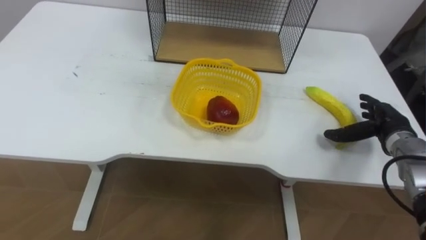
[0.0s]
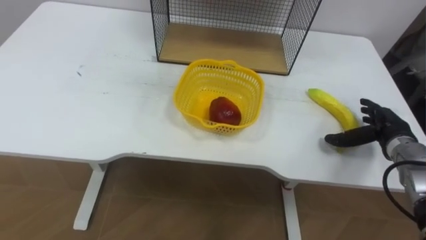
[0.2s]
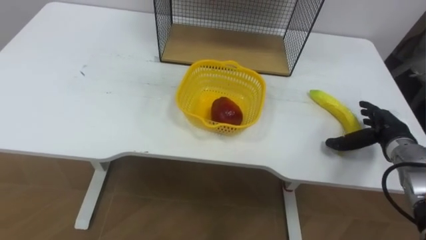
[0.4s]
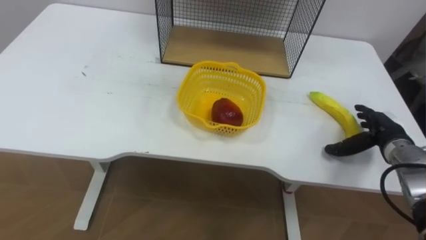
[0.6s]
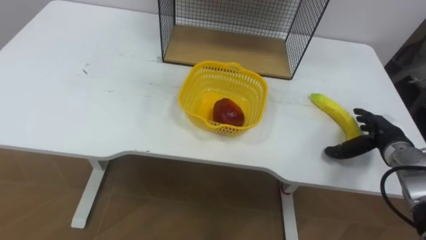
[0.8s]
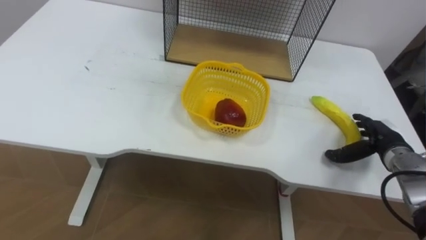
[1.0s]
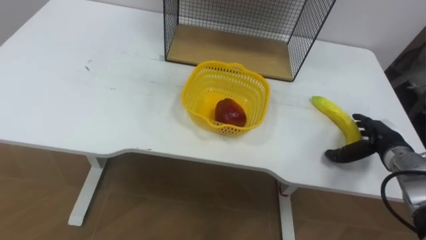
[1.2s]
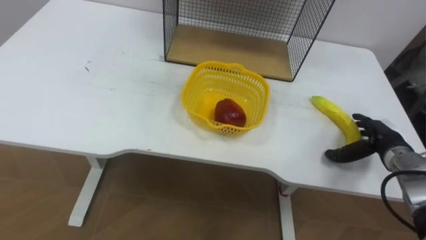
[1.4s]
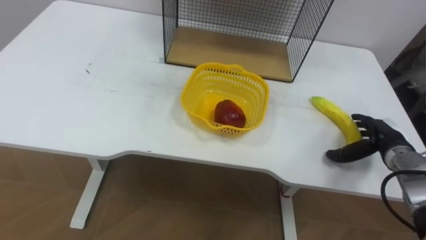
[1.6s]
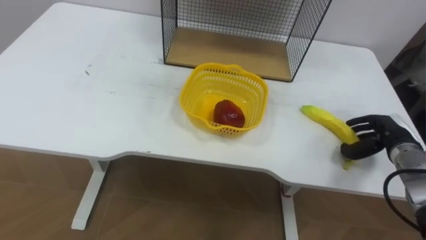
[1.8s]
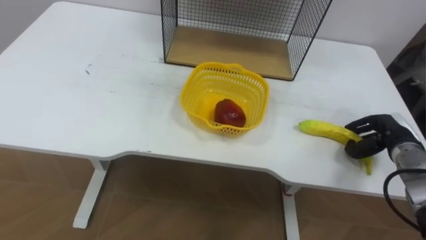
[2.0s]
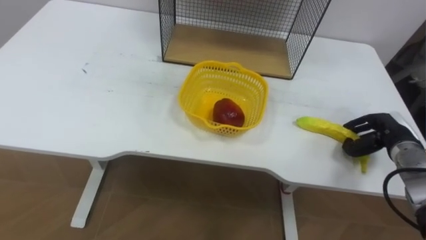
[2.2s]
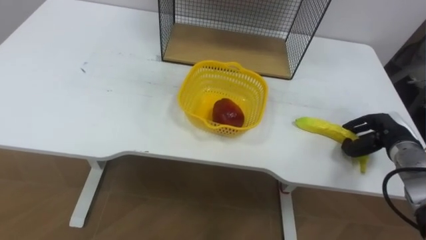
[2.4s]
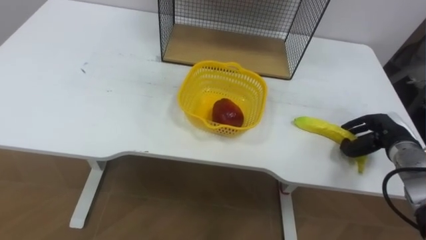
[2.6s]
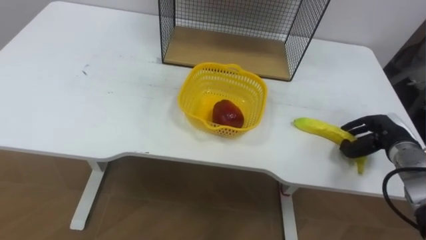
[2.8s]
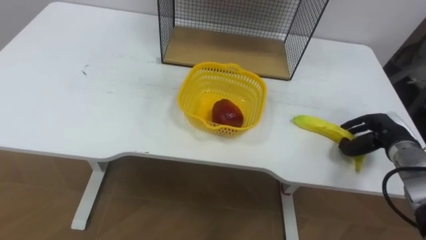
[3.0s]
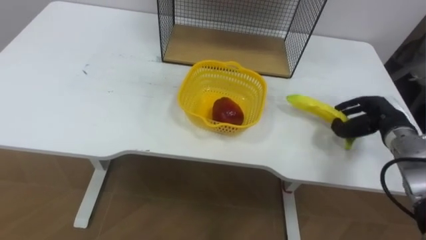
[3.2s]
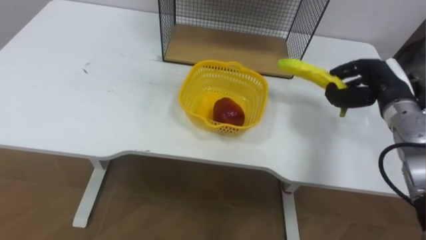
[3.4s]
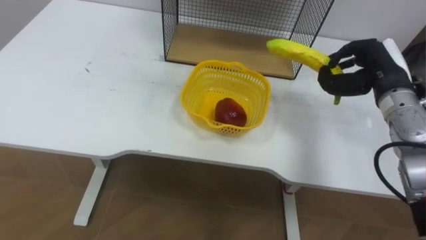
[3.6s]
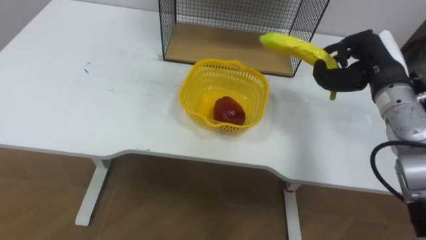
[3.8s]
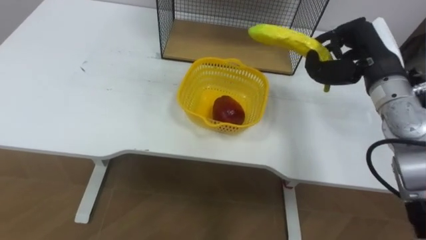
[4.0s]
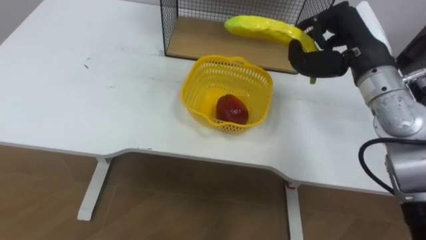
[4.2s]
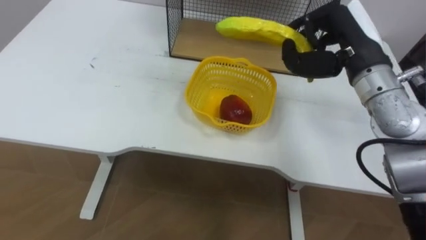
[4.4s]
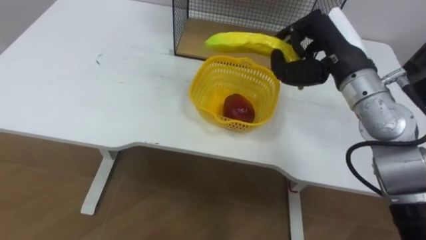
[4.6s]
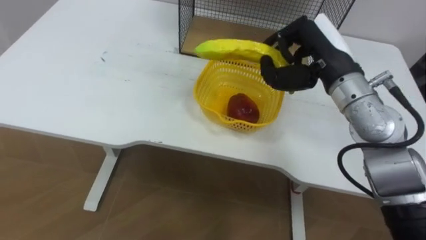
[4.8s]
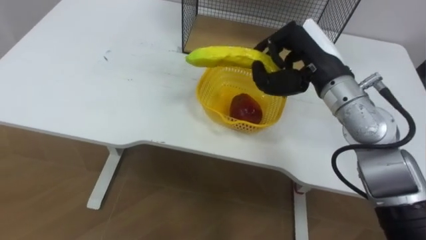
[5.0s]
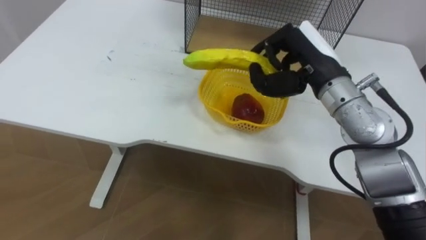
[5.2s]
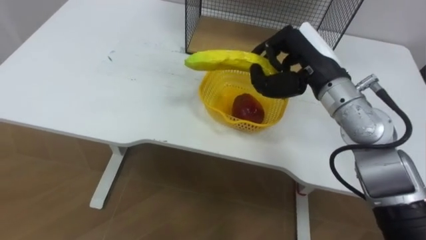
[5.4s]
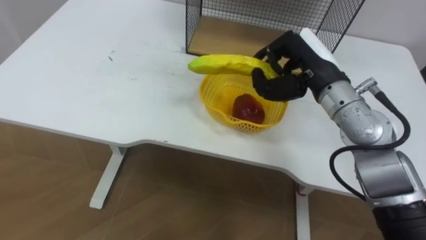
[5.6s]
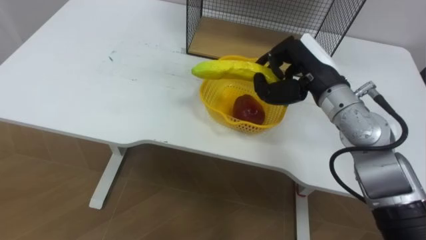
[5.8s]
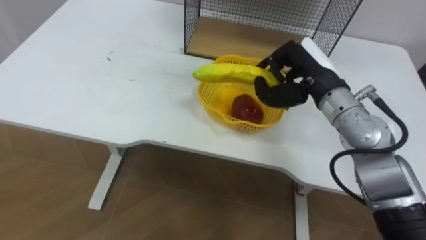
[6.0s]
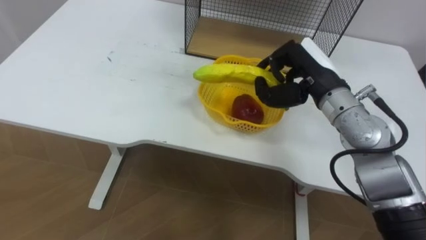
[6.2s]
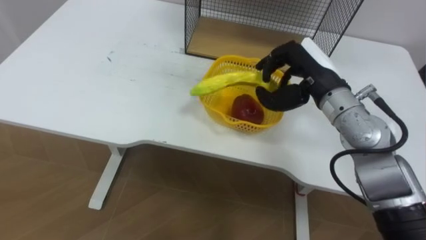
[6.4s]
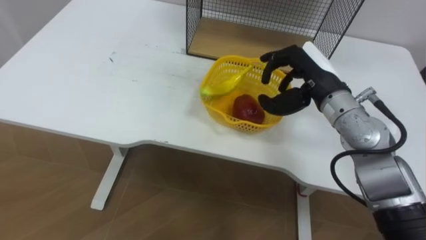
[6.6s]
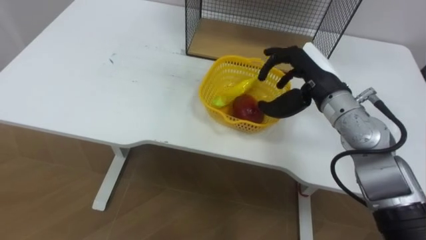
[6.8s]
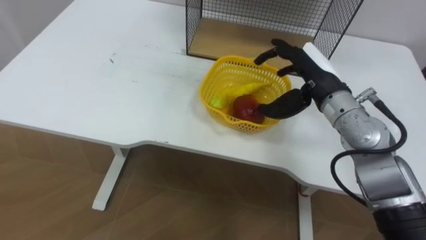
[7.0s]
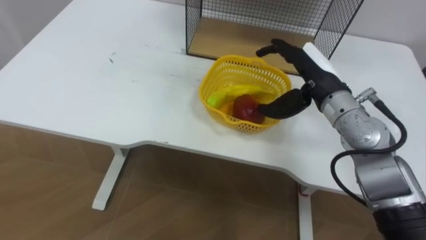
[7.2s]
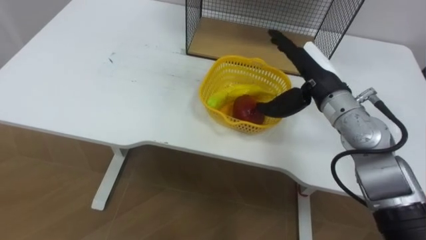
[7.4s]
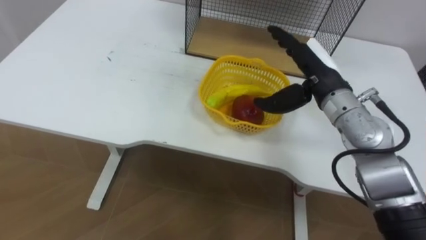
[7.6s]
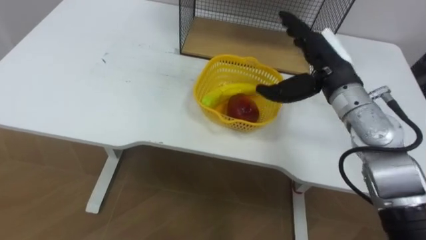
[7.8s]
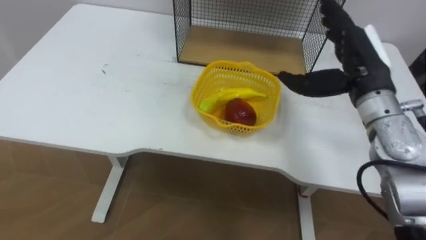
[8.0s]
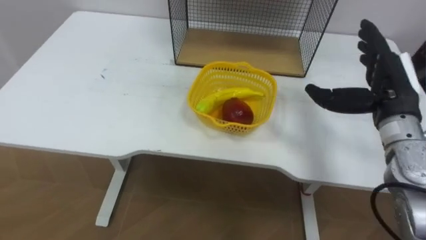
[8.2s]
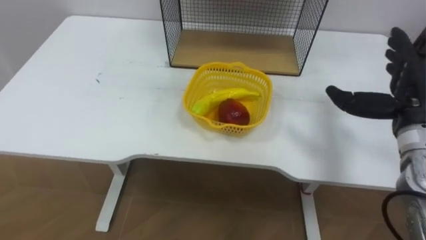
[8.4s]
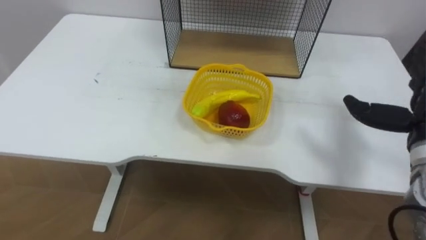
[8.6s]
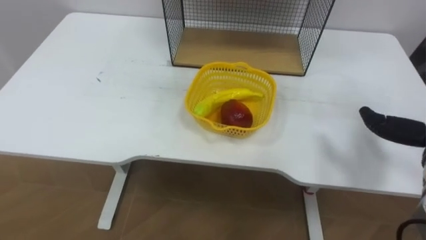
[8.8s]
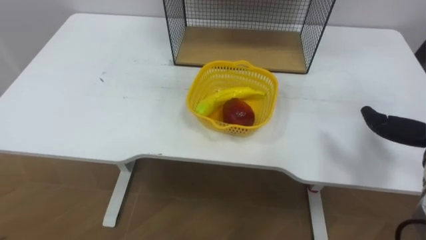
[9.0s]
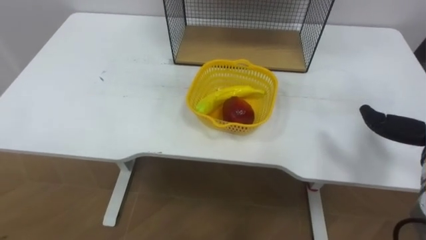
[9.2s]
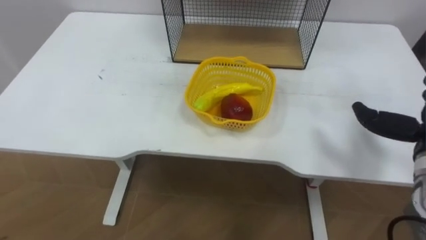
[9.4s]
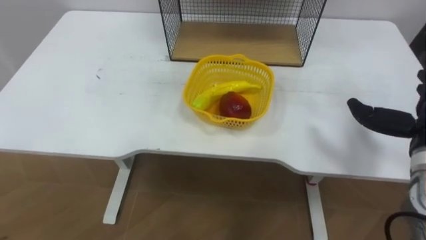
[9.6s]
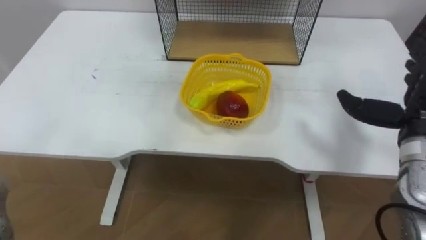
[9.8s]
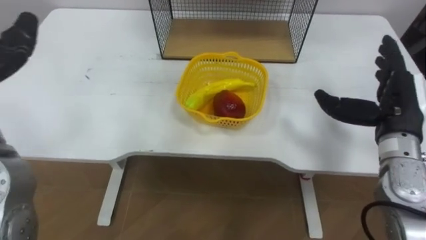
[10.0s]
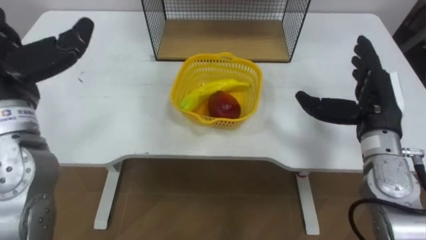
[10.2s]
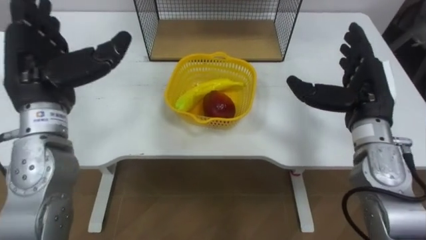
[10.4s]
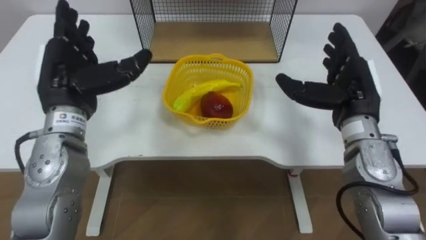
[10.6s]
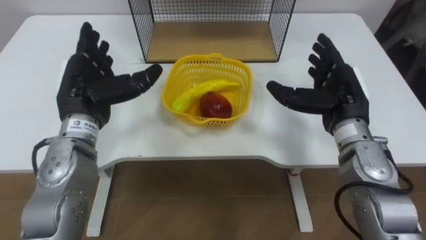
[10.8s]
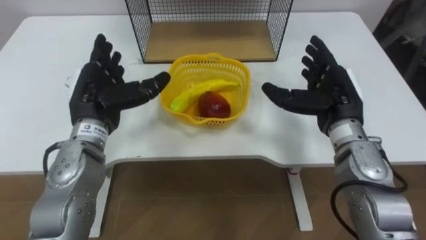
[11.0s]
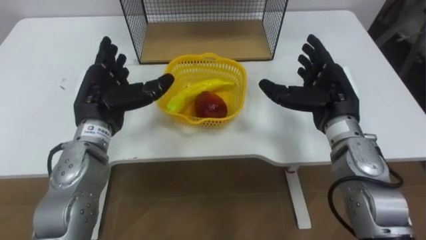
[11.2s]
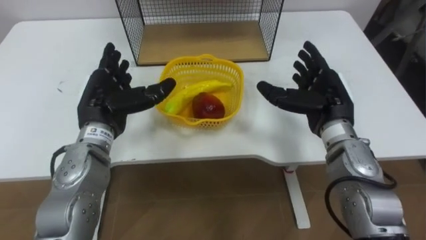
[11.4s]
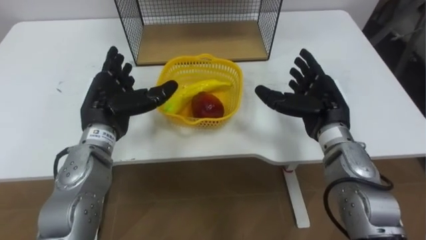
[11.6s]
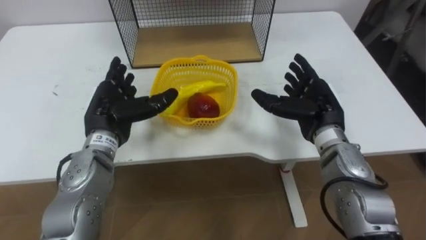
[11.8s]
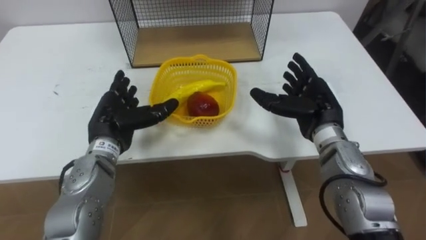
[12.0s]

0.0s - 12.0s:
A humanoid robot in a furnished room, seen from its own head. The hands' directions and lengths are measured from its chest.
Task of the whole recording: Put the fruit on the table into the basket, then place the basket on the shelf.
1.6s - 3.0s: The right hand closes up.
3.0s - 4.4s: The right hand heads upward and to the left, covering approximately 25 cm.
4.4s - 6.0s: The right hand shifts some 5 cm downward.
6.0s - 7.6s: The right hand opens up.
10.4s - 12.0s: The right hand goes roughly 10 cm to the left and downward. The left hand is displaced downward by roughly 15 cm.

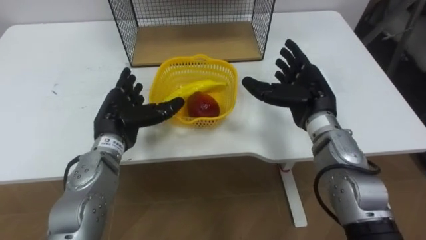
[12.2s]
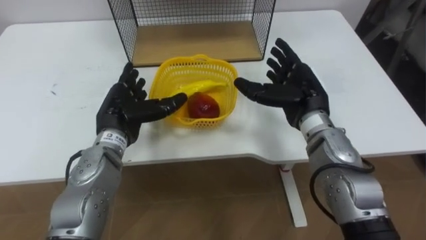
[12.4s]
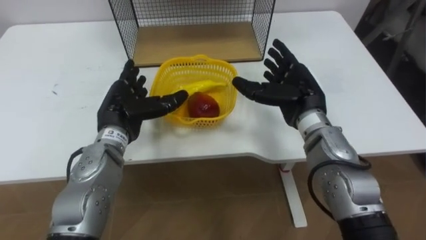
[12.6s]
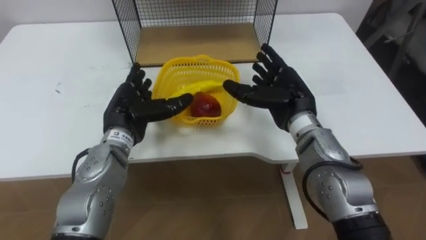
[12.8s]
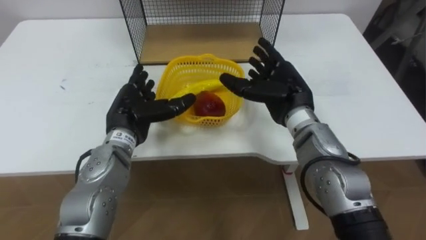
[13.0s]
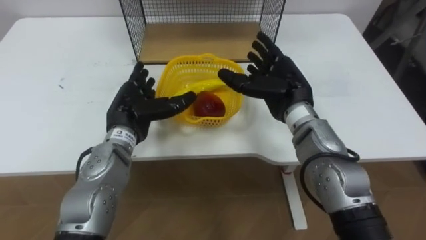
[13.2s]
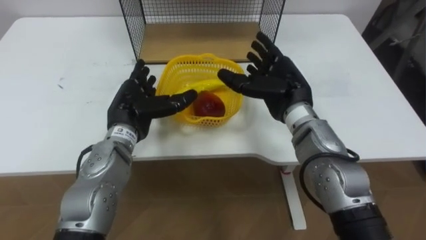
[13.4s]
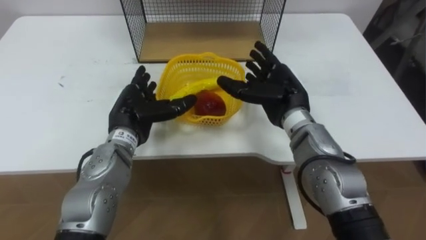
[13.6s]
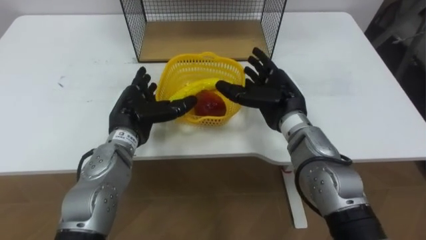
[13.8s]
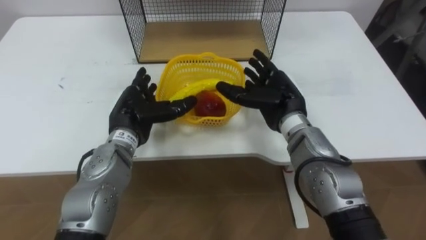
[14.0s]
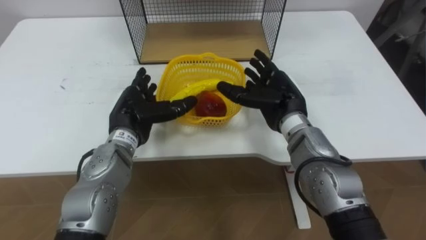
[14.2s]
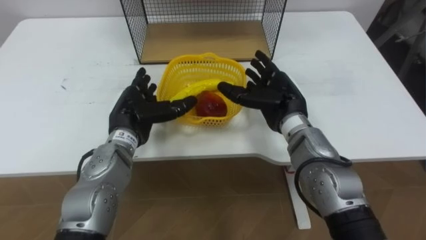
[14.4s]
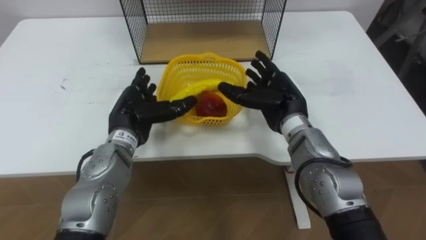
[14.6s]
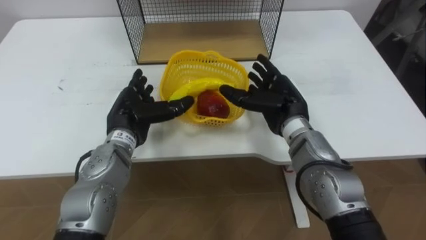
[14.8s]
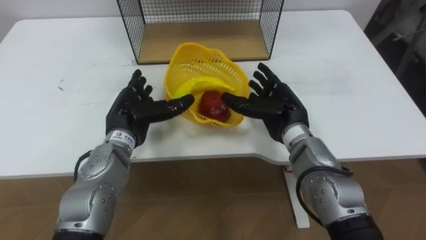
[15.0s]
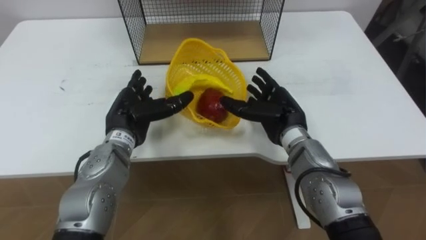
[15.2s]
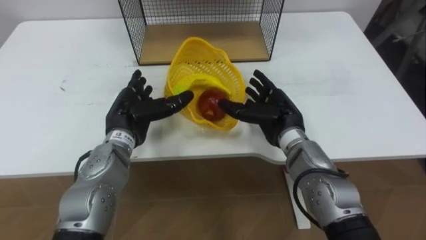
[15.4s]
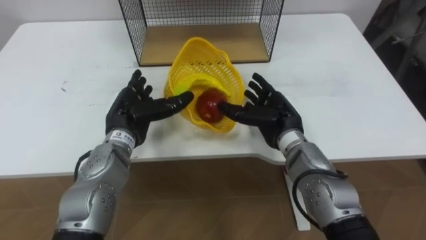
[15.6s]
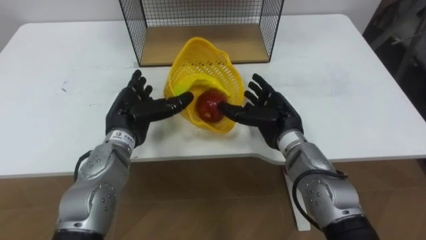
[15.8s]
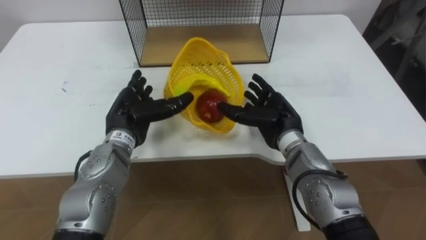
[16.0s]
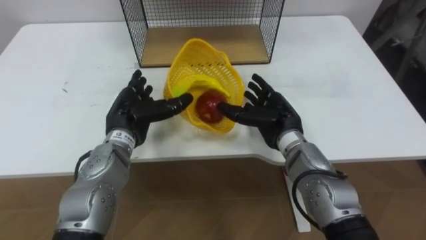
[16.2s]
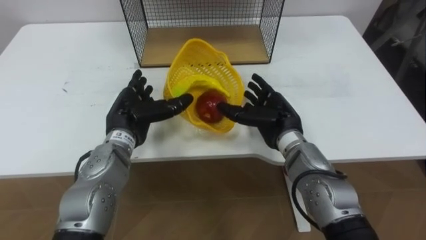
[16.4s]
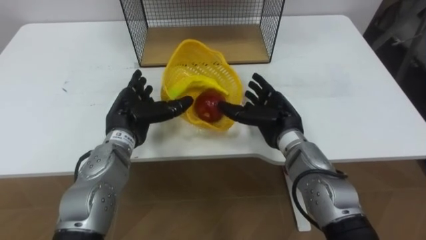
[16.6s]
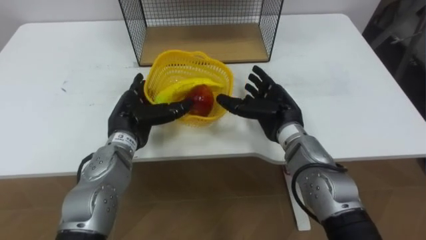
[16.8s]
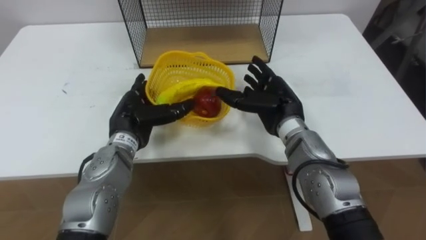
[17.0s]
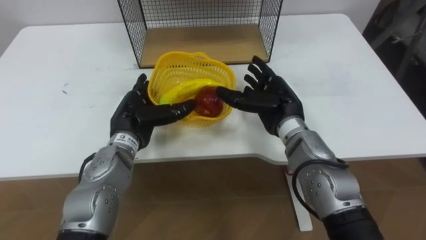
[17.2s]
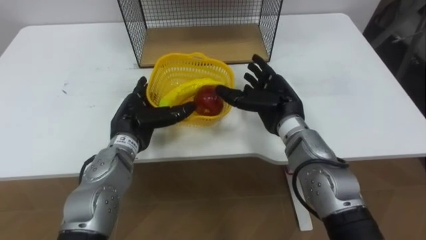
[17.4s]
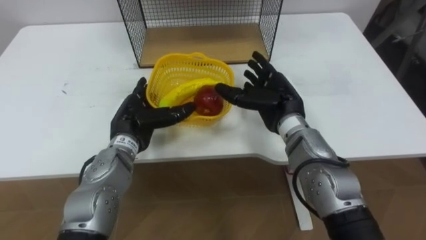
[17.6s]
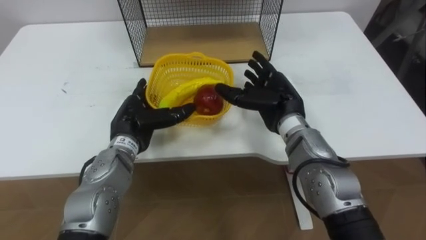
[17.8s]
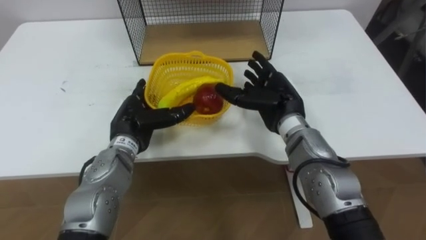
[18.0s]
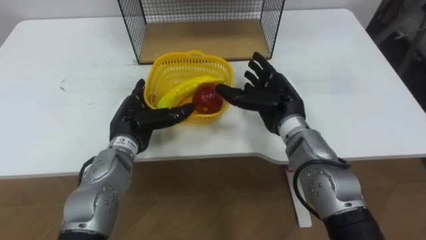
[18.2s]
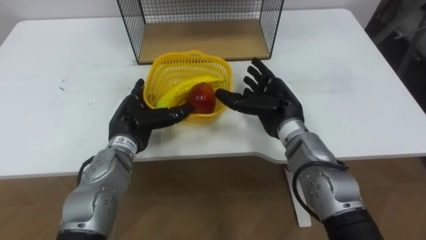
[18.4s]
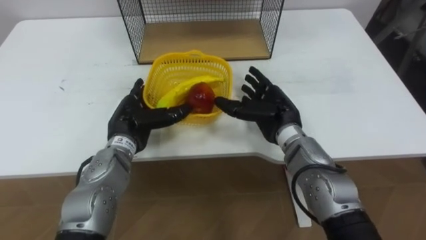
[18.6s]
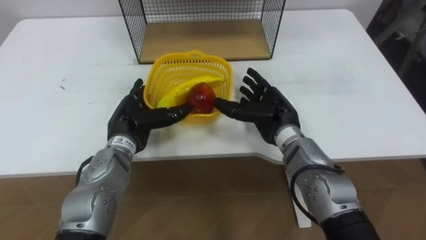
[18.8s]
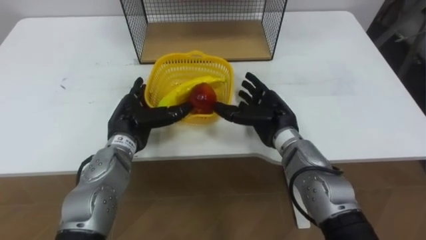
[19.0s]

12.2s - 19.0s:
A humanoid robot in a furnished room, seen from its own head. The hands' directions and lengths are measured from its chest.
Task of the whole recording: Put the fruit on the table into the basket, then place the basket on the shelf.
12.2s - 13.6s: The right hand changes place by about 5 cm.
13.6s - 19.0s: The hands move only a little.
